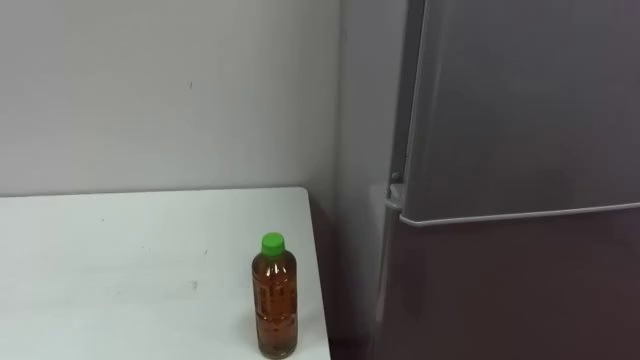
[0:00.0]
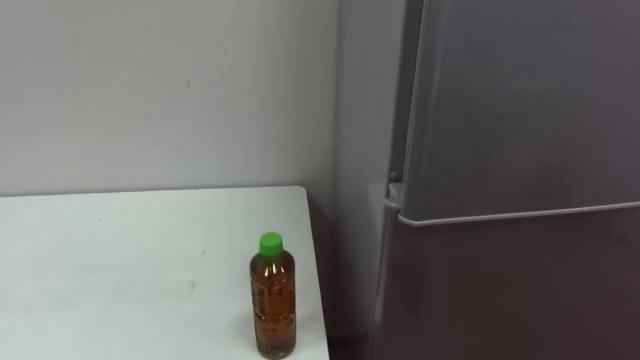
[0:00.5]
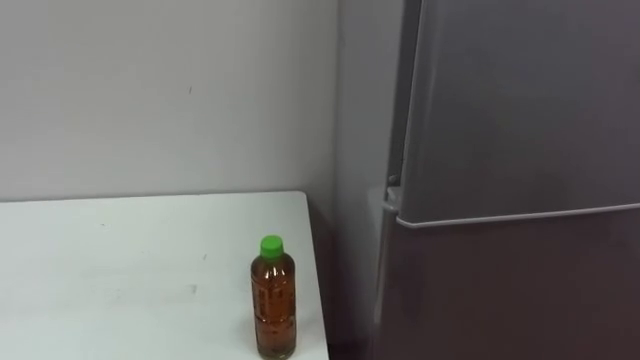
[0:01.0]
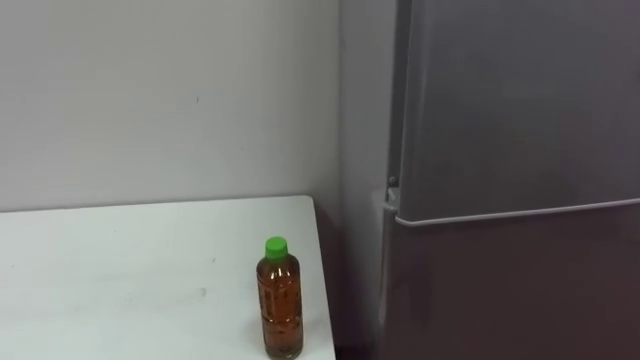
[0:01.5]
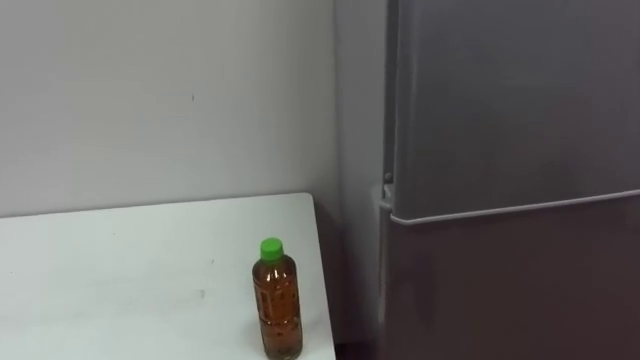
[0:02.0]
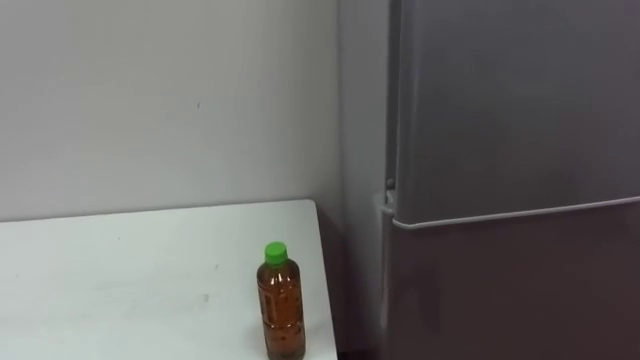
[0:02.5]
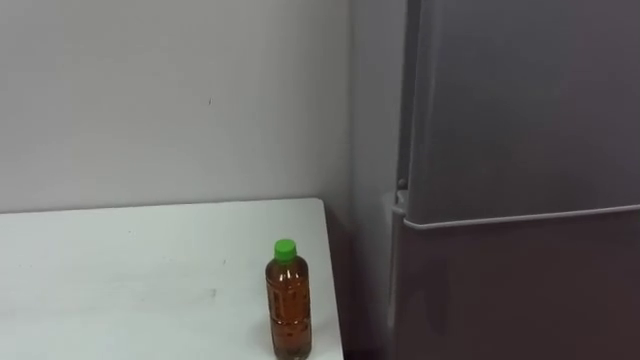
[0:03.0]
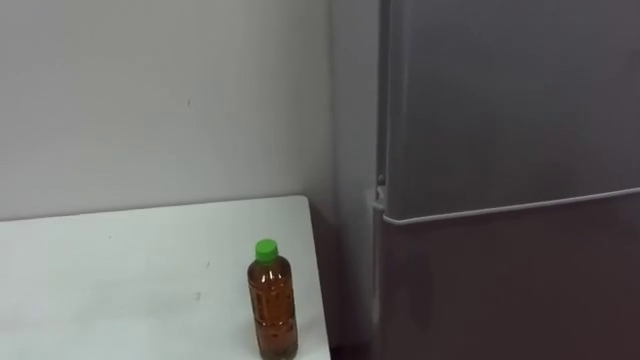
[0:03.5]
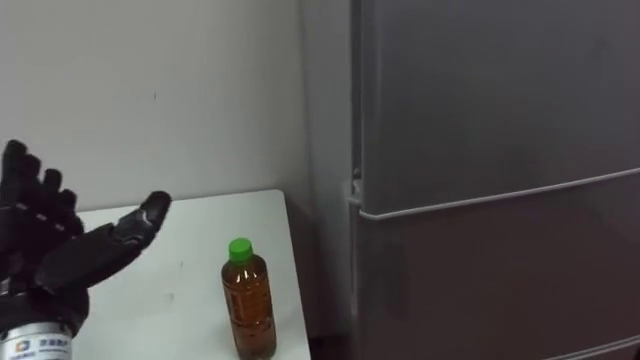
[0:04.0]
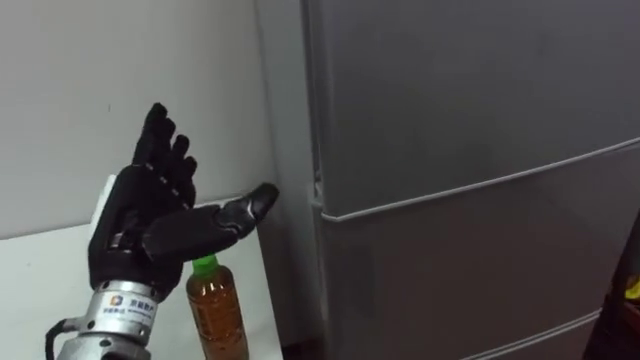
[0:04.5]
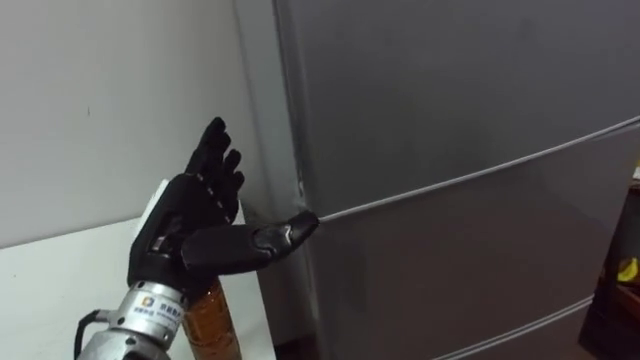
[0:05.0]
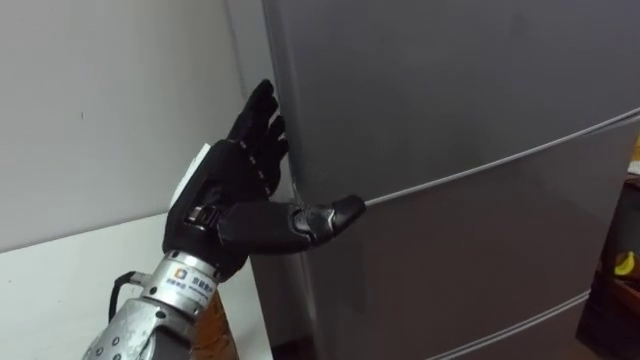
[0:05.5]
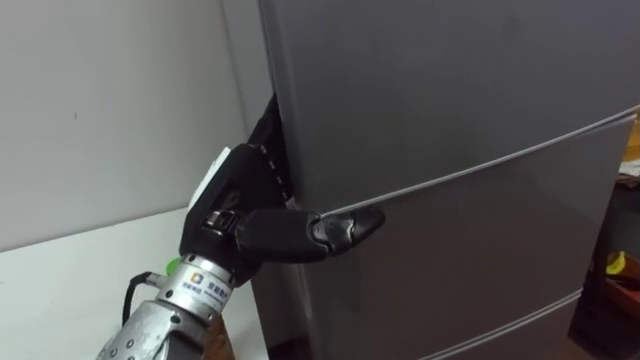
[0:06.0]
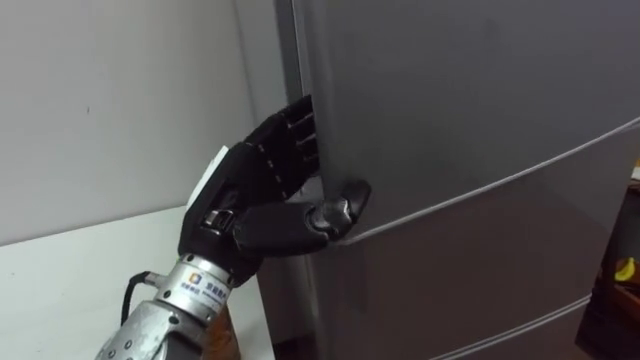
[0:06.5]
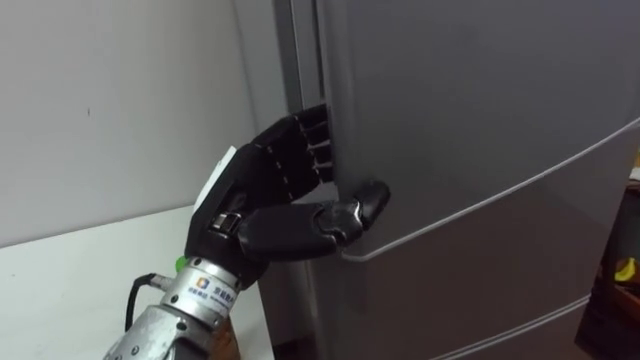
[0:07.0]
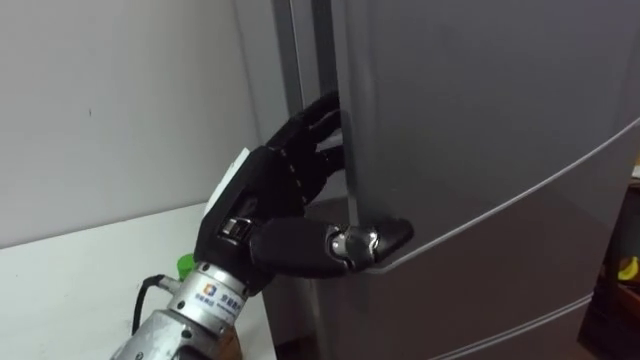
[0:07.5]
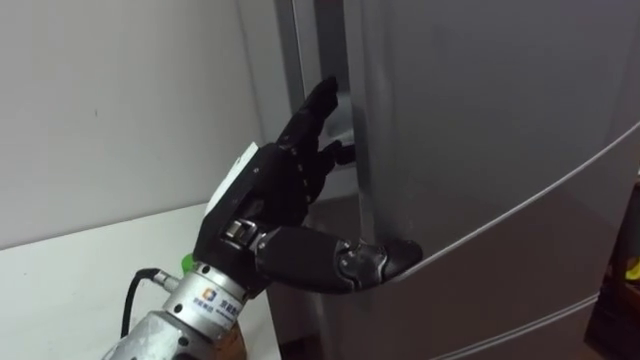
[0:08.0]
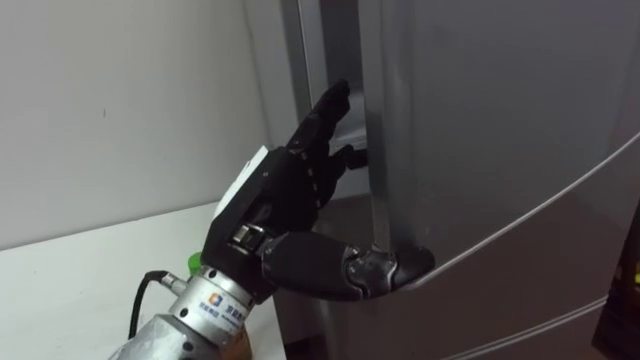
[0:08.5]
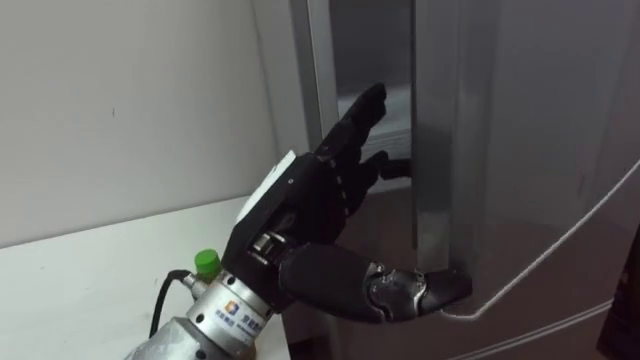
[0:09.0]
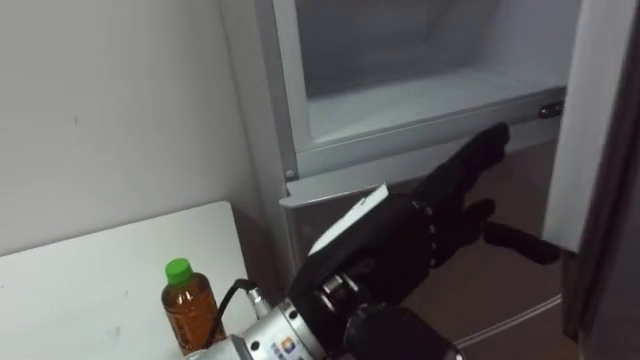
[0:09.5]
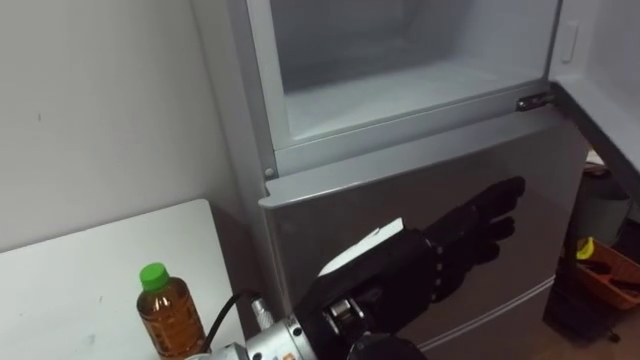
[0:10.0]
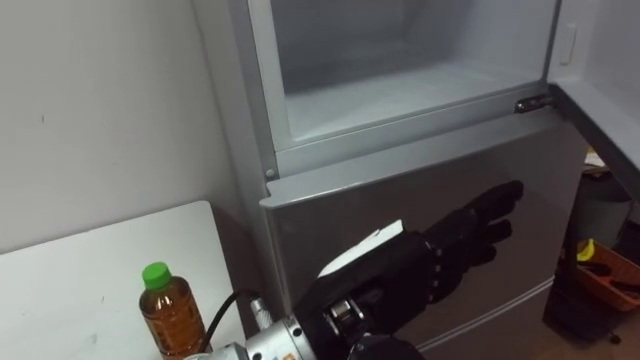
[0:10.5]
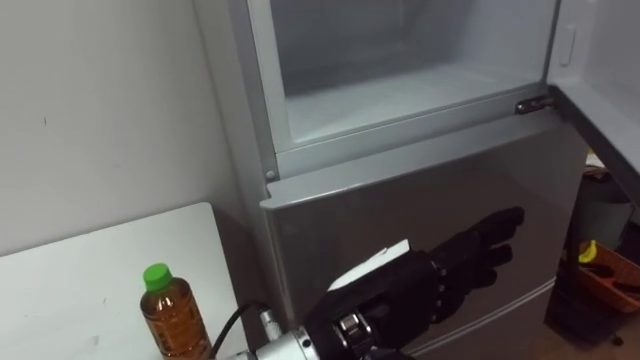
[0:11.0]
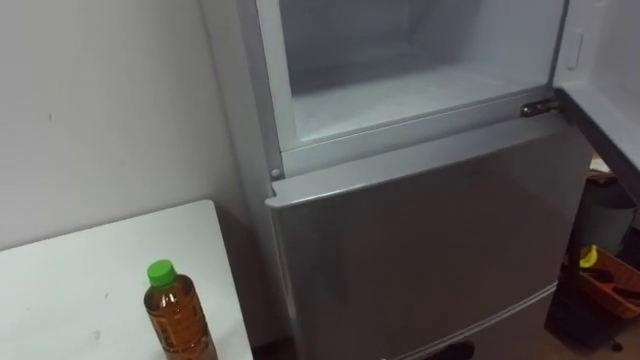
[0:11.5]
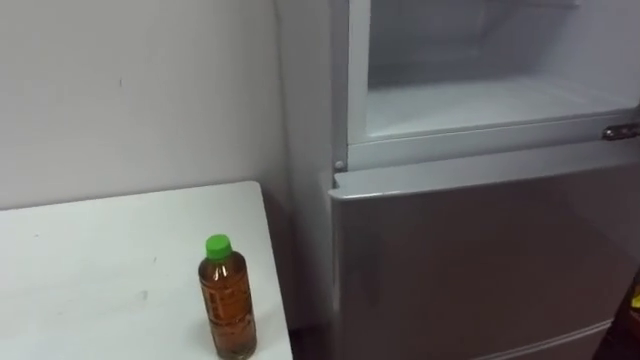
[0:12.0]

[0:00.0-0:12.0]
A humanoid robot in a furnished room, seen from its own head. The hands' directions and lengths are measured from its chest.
Task of the whole recording: Open the upper refrigerator door, put the drink from the table into the refrigerator, and then close the refrigerator door.
0:04.0 to 0:06.0: The left hand heads to the right, covering roughly 20 cm.
0:06.0 to 0:08.0: The left hand closes, then opens again.
0:08.0 to 0:10.0: The left hand travels to the right and backward by roughly 10 cm.

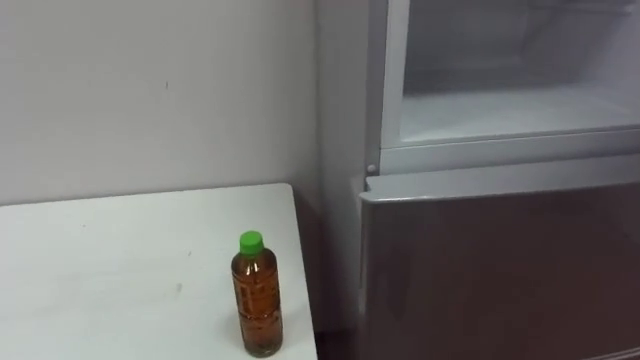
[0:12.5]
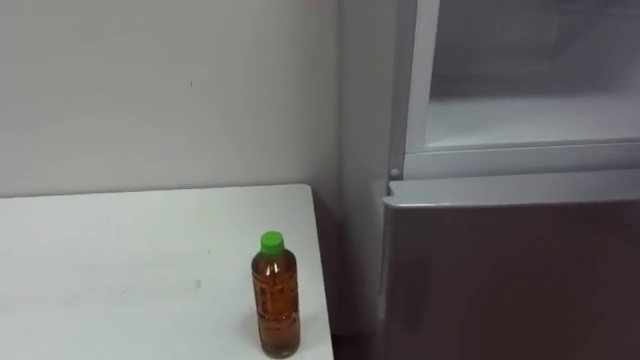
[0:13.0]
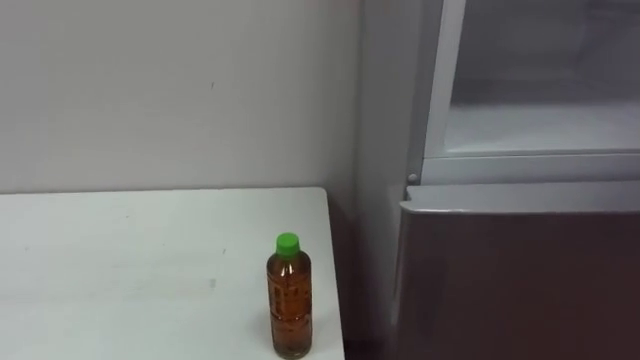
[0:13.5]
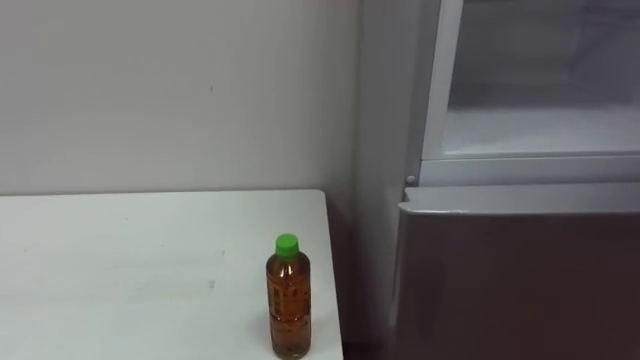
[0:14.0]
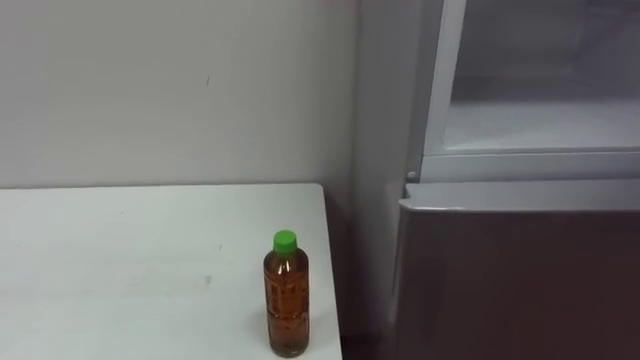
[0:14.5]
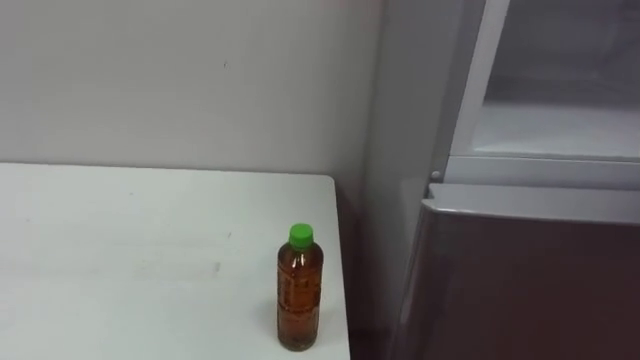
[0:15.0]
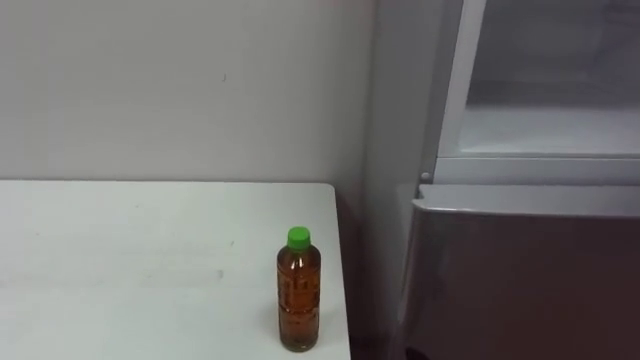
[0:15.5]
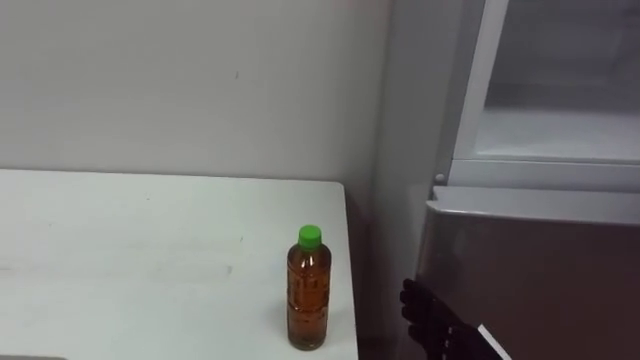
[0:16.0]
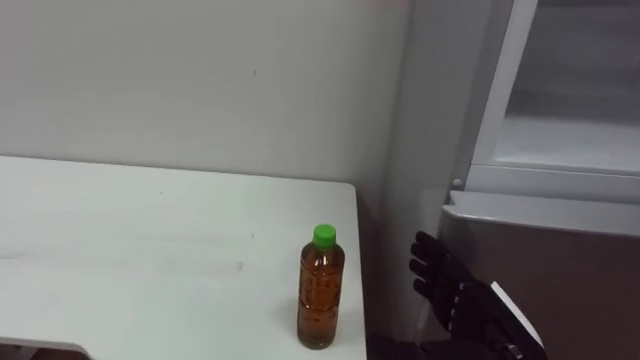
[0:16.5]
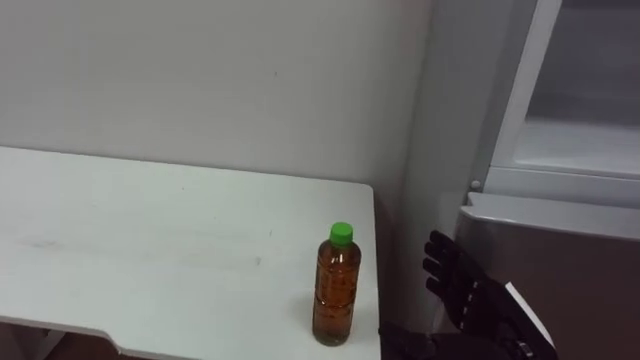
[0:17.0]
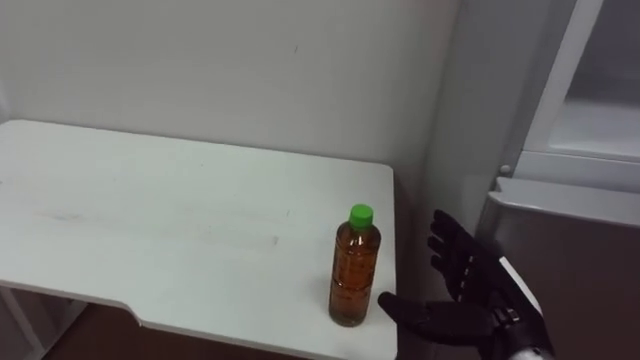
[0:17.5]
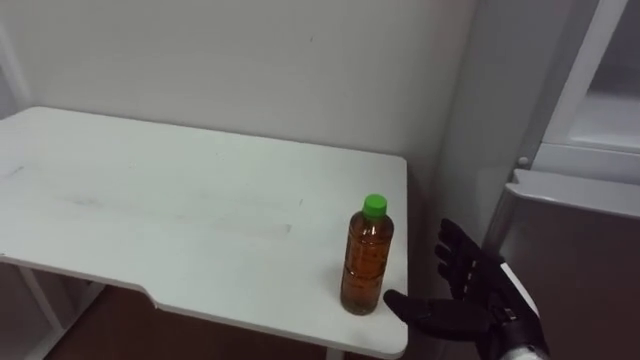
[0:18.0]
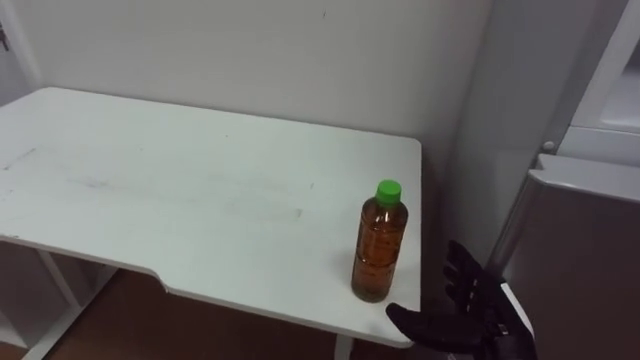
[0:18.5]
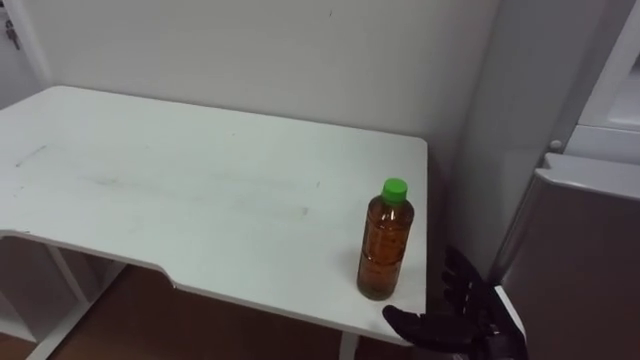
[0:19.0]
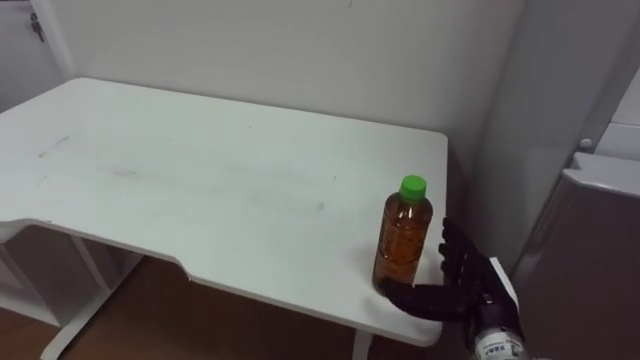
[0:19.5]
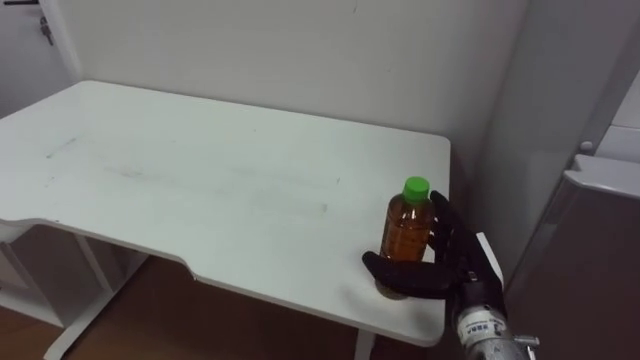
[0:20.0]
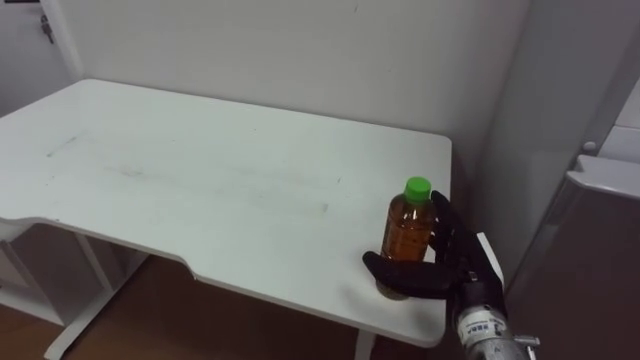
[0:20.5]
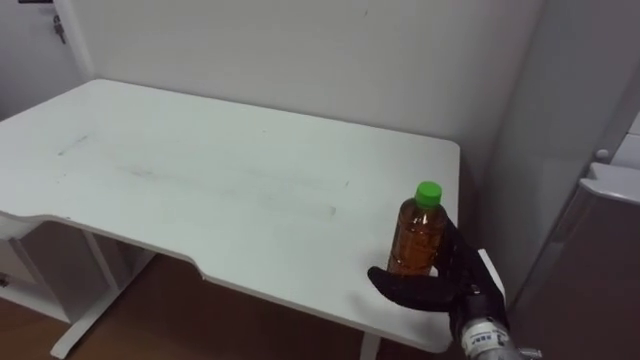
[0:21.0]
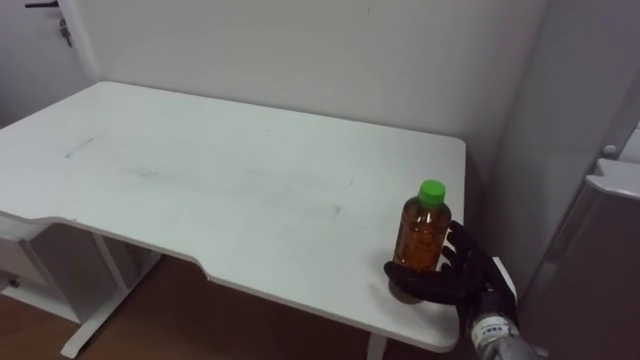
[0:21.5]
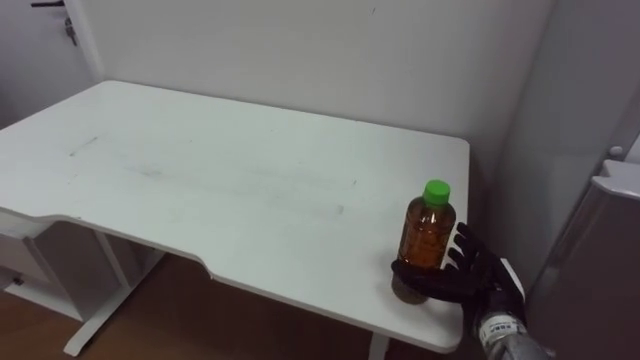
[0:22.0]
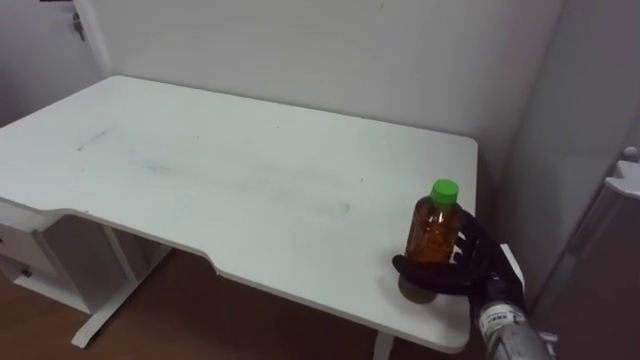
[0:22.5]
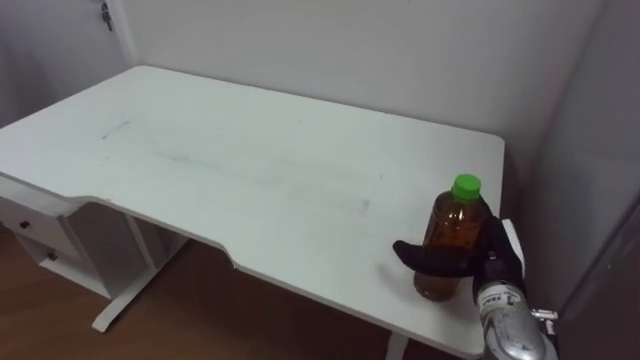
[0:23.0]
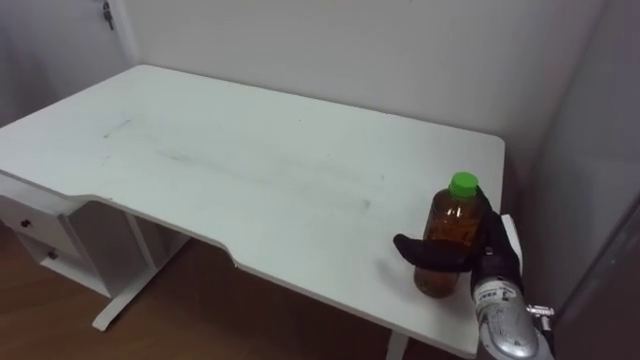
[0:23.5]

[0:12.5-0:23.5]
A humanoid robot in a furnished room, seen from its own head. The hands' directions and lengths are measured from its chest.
Task of the whole recording: Open the upper refrigerator door, put the drink from the table into the refrigerator, and then close the refrigerator door.
0:18.0 to 0:20.0: The right hand changes place by roughly 5 cm.
0:20.0 to 0:21.5: The right hand ends up roughly 5 cm from where it was.
0:21.5 to 0:23.5: The right hand ends up about 5 cm from where it was.
